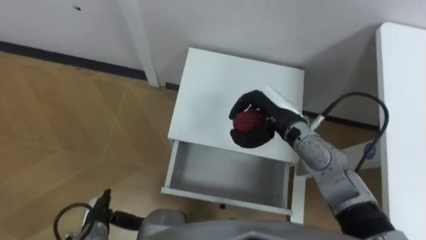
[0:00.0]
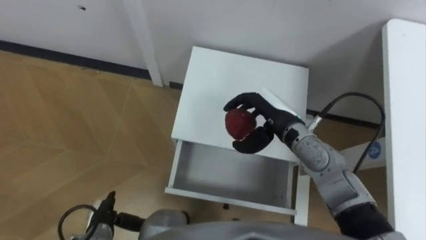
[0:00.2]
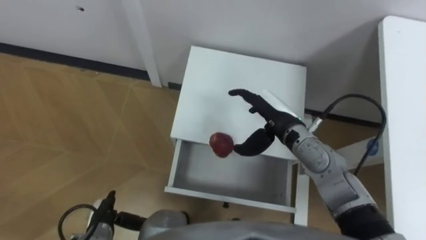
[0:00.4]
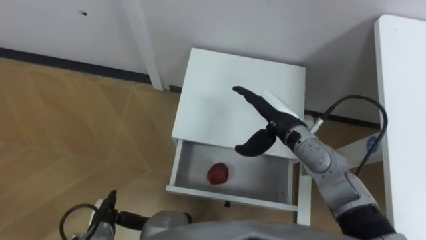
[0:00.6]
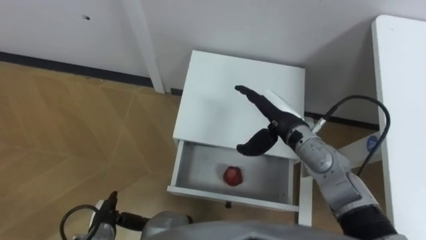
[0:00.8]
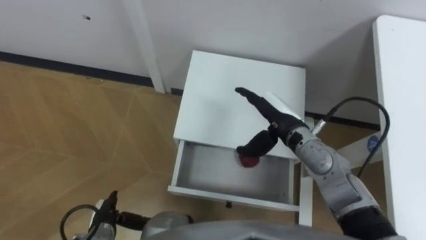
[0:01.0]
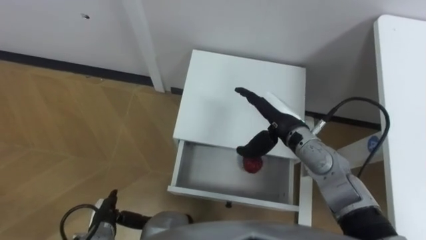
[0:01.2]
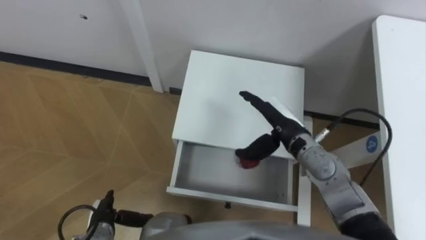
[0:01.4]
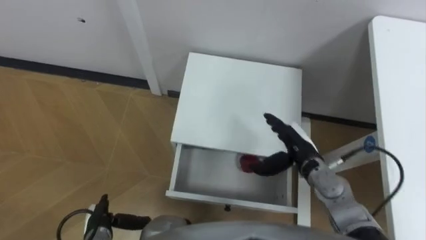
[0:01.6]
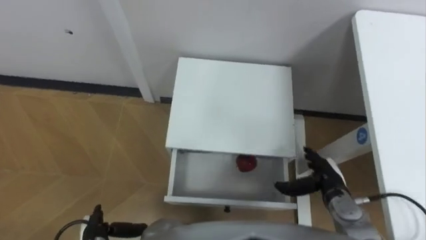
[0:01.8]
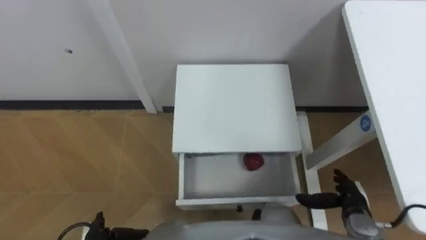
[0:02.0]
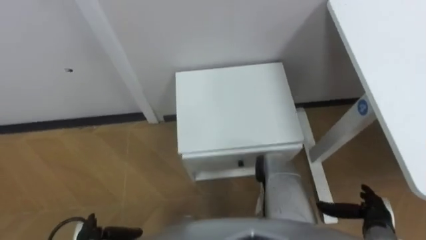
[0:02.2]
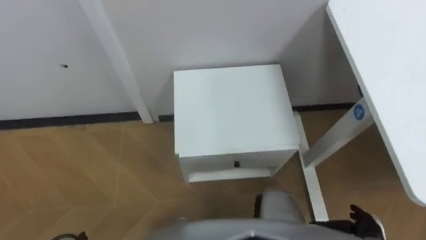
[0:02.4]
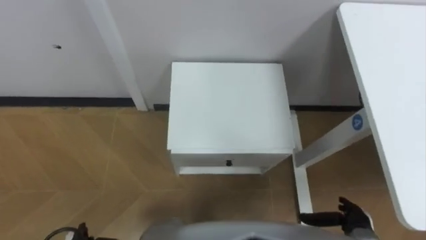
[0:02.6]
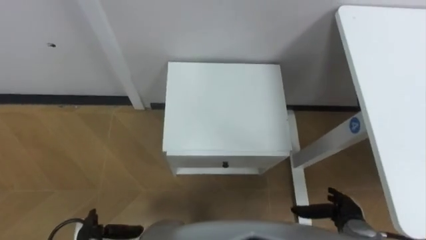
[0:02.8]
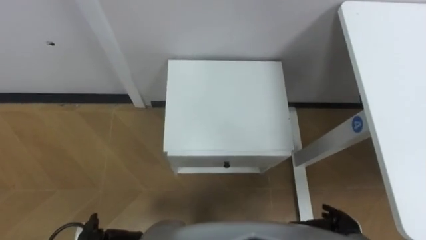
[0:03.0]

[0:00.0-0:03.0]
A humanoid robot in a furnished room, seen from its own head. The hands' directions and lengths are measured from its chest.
Task of the whole recording: Pick up the apple from the table, put it in the drawer, and close the drawer with leg.
0:00.0 to 0:01.6: The right hand travels downward and to the right by some 10 cm, and opens its fingers.
0:01.6 to 0:03.0: The right hand heads backward, downward and to the right, covering about 20 cm.

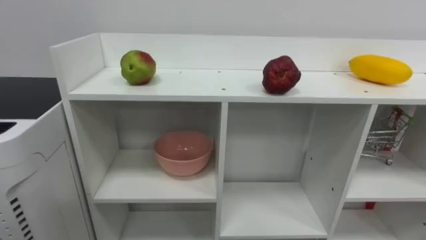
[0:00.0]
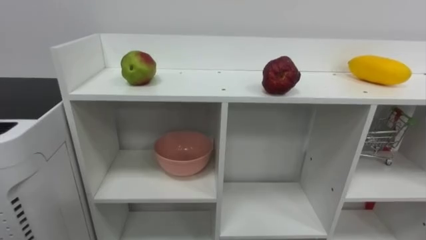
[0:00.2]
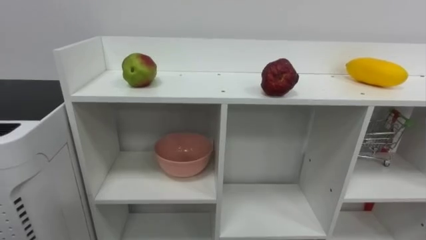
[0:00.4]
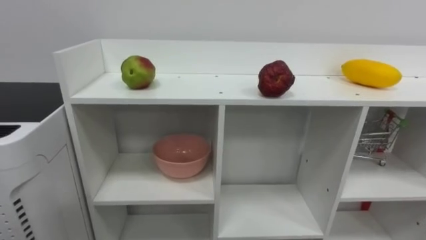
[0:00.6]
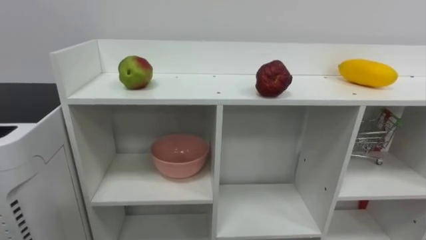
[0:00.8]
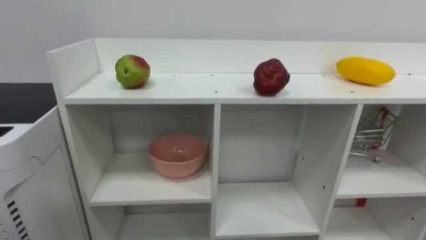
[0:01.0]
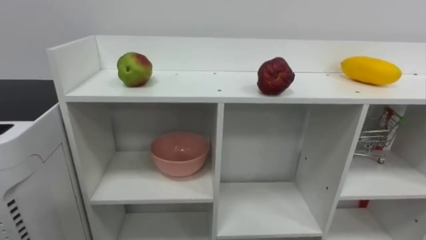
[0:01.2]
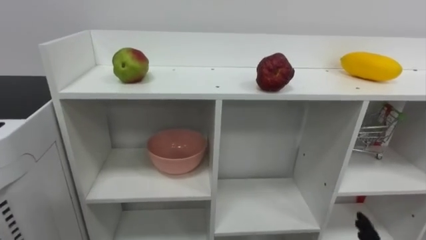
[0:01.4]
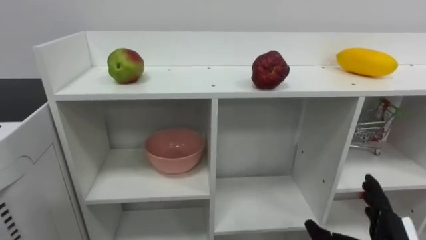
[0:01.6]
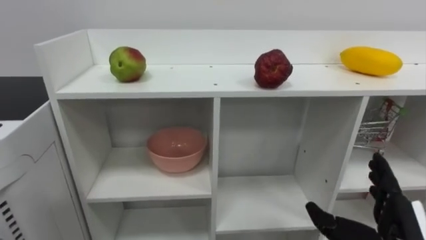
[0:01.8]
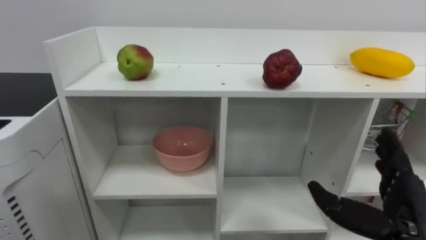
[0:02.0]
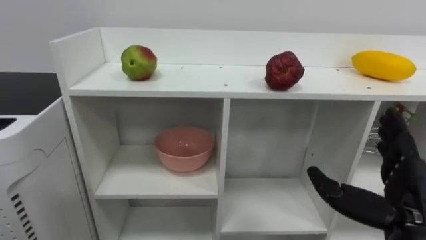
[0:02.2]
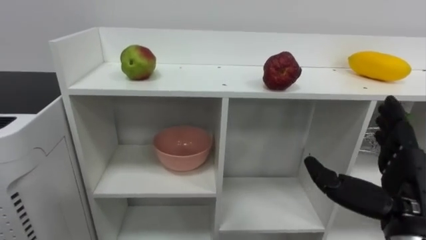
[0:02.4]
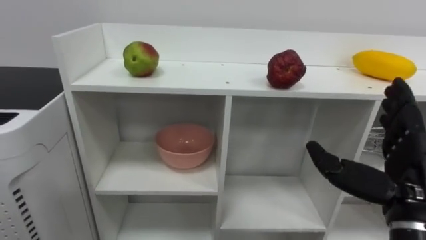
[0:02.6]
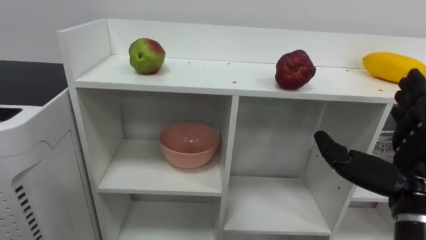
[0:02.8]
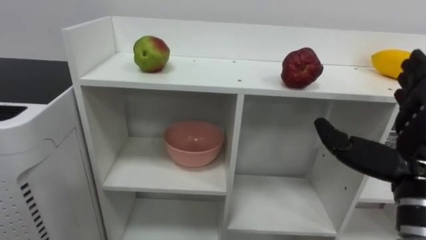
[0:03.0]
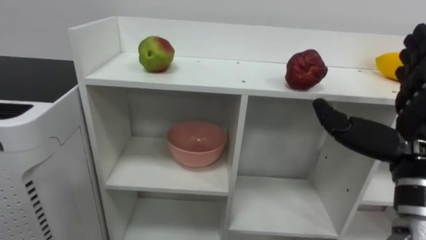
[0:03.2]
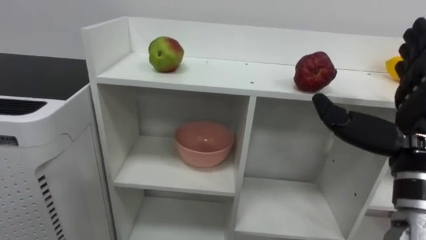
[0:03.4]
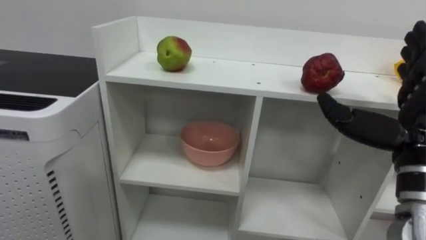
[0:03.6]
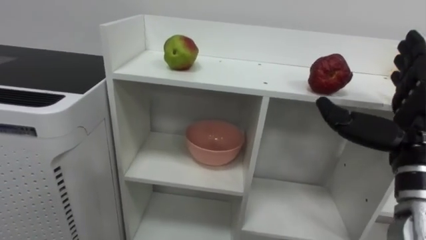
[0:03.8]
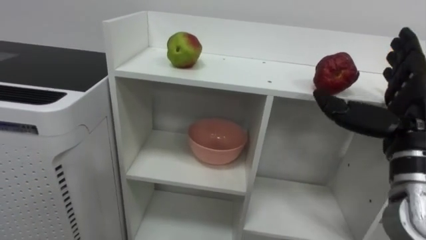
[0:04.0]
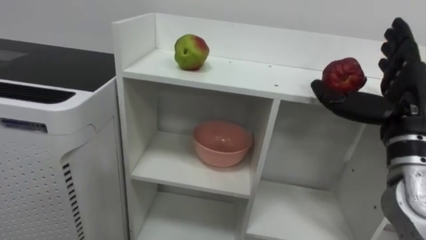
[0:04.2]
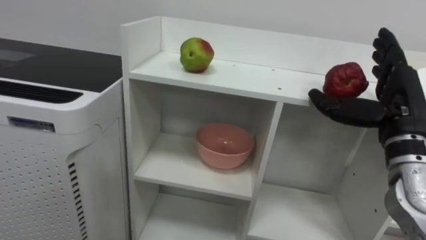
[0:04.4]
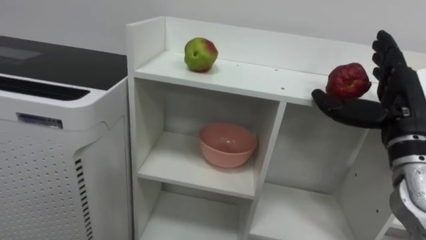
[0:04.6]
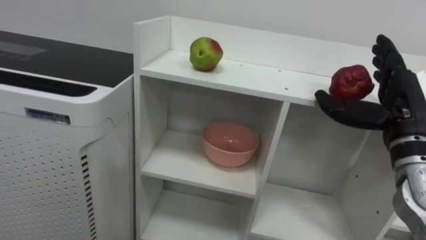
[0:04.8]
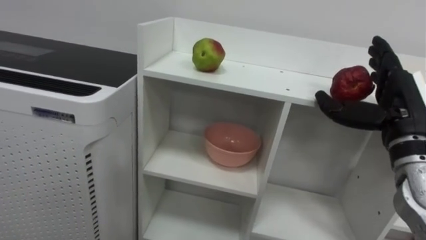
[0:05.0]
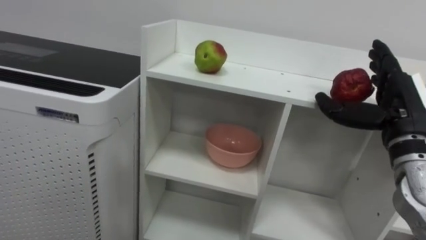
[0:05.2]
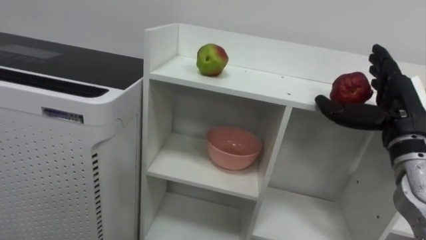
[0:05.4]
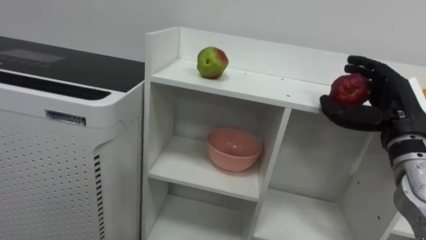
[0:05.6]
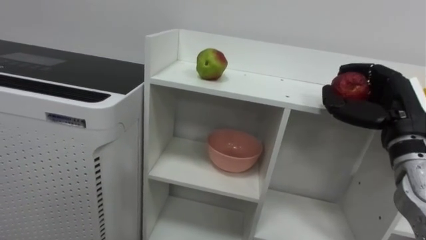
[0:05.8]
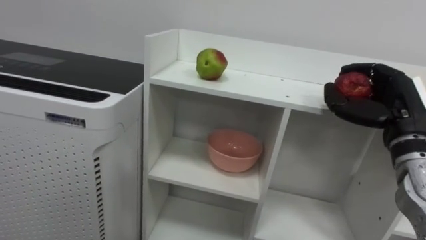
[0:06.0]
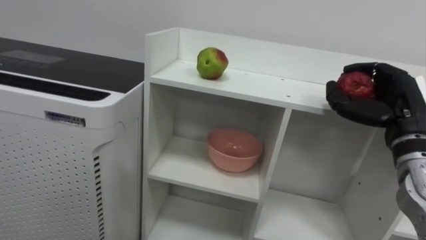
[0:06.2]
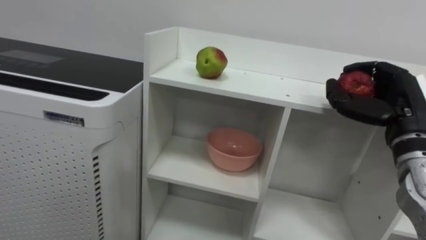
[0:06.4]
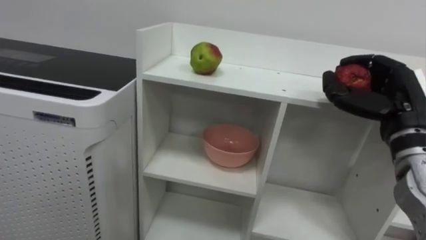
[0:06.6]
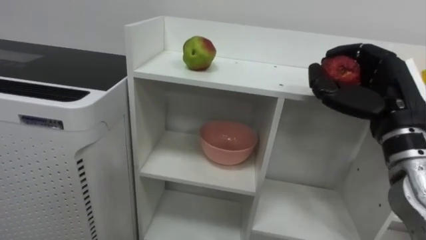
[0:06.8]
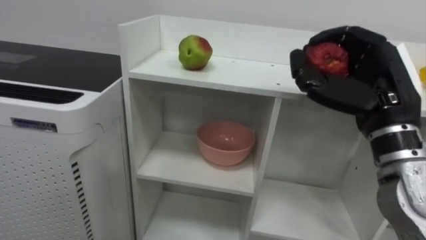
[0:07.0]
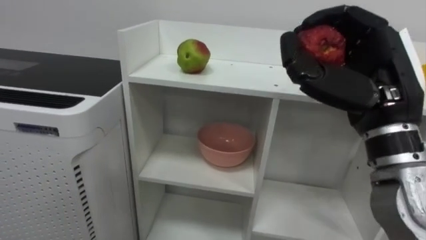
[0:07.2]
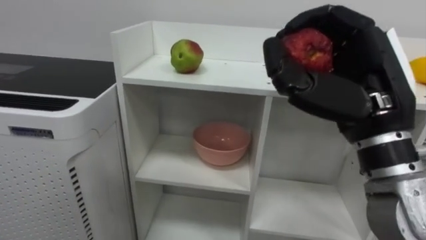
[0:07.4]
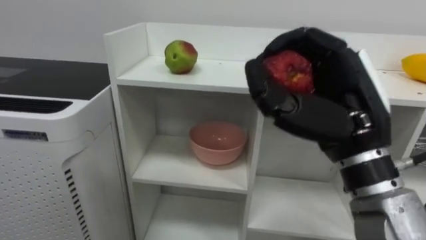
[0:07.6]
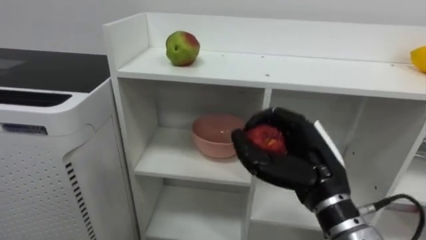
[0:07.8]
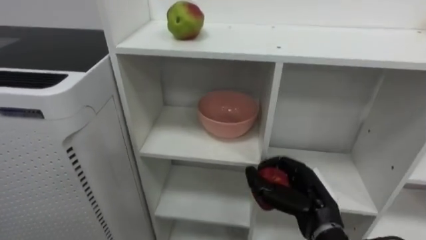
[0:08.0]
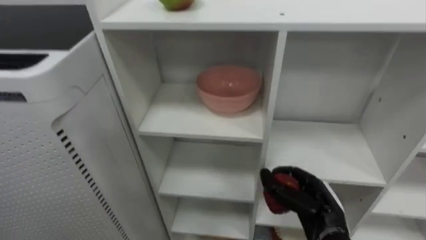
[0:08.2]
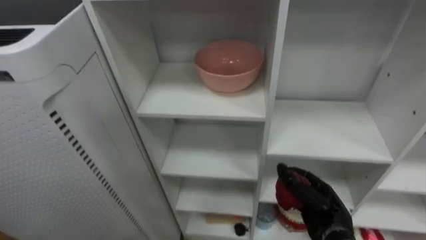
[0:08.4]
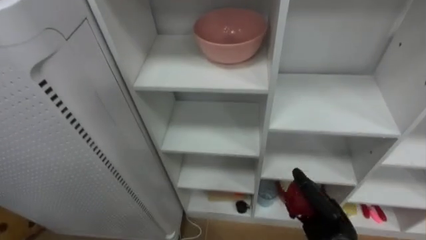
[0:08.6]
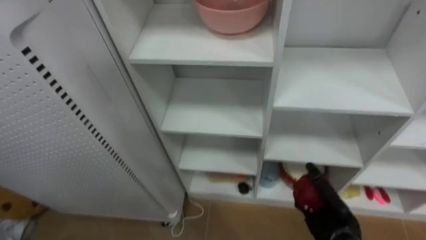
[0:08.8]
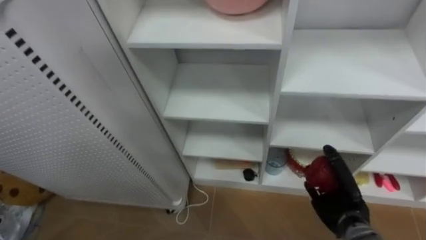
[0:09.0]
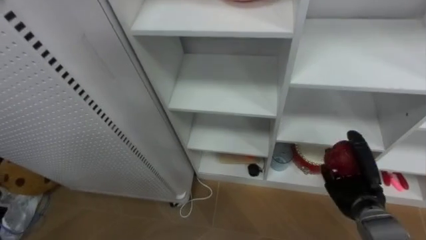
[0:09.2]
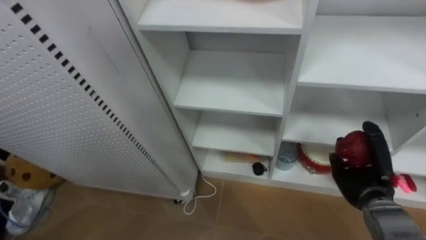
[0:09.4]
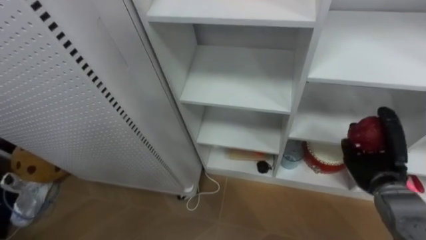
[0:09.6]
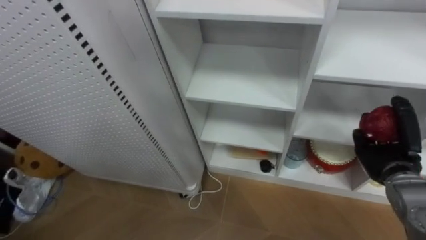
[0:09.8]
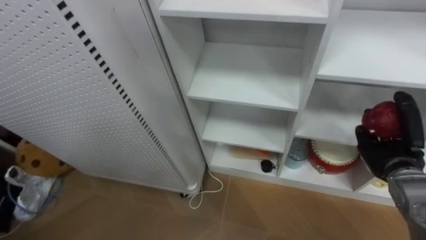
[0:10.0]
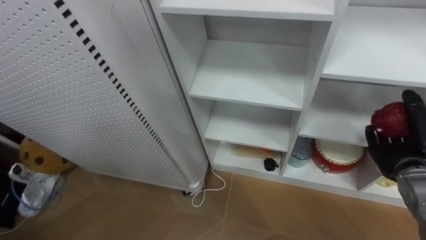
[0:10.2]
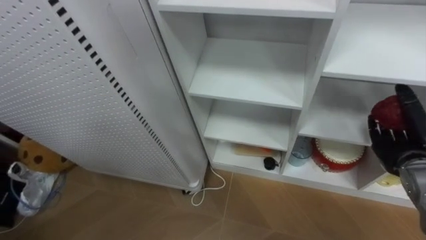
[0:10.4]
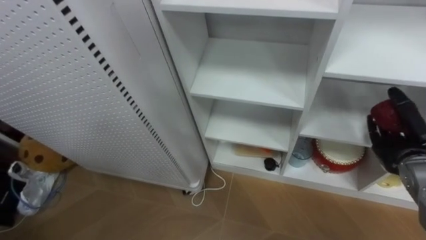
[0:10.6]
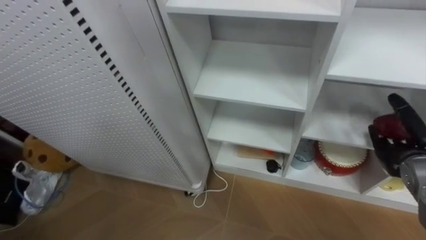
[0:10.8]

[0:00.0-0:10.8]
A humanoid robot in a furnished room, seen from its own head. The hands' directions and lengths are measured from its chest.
Task of the whole recording: Put the apple in the cell in the second column from the left and the second row from the top.
0:03.0 to 0:04.6: The right hand heads forward, covering roughly 10 cm.
0:04.6 to 0:06.2: The right hand closes its fingers.
0:06.2 to 0:07.8: The right hand is displaced to the left and backward by approximately 15 cm.
0:07.8 to 0:09.2: The right hand shifts some 20 cm downward, to the right and forward.
0:09.2 to 0:10.8: The right hand heads upward and to the right, covering approximately 10 cm, and opens up.

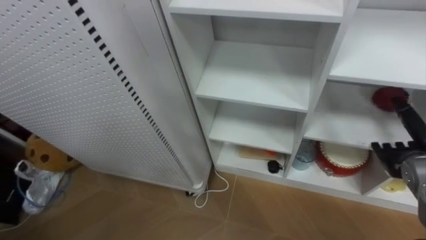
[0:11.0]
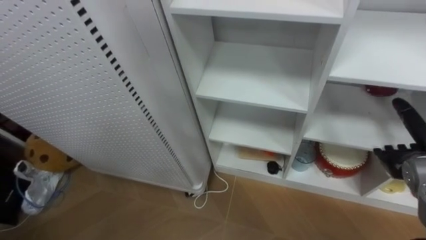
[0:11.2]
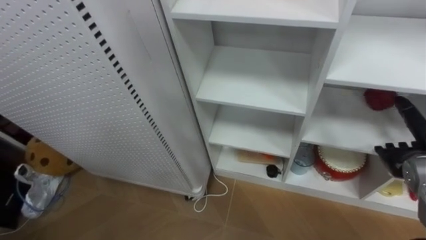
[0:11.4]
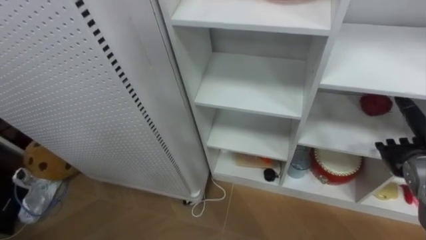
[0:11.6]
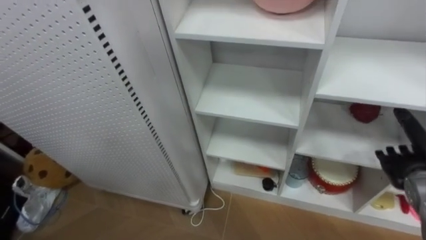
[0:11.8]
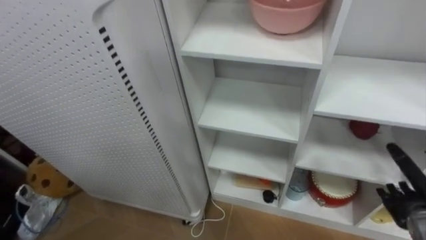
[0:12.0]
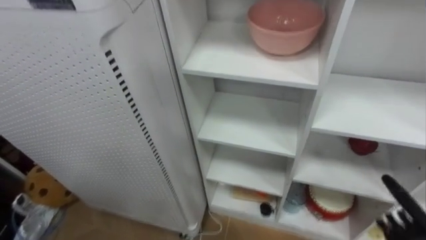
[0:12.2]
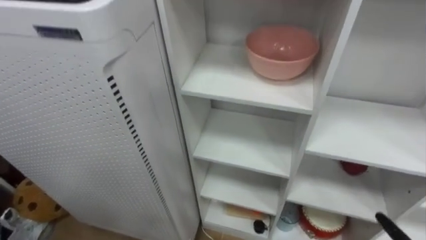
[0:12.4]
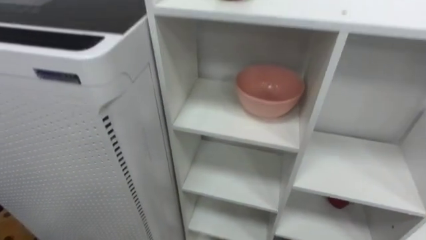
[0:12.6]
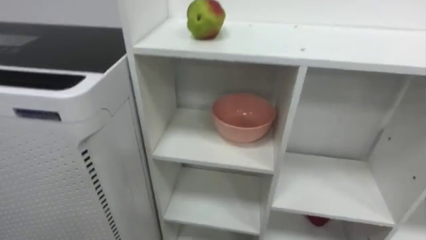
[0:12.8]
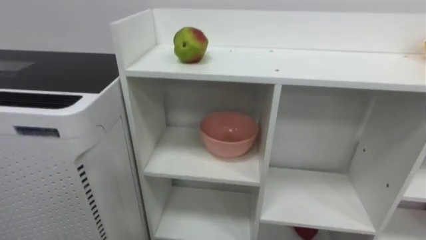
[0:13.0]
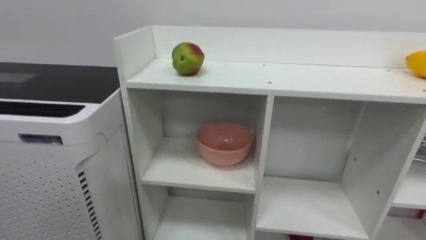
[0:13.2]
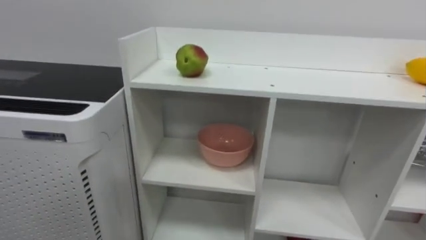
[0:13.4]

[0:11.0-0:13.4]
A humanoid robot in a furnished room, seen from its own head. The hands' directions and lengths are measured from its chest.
Task of the whole recording: Put the apple in the cell in the second column from the left and the second row from the top.
0:11.0 to 0:12.2: The right hand is displaced downward and backward by roughly 15 cm.
